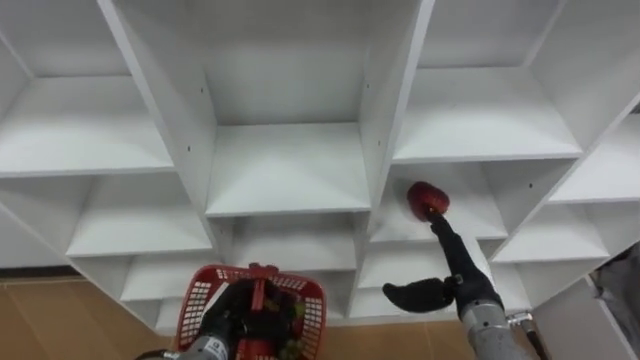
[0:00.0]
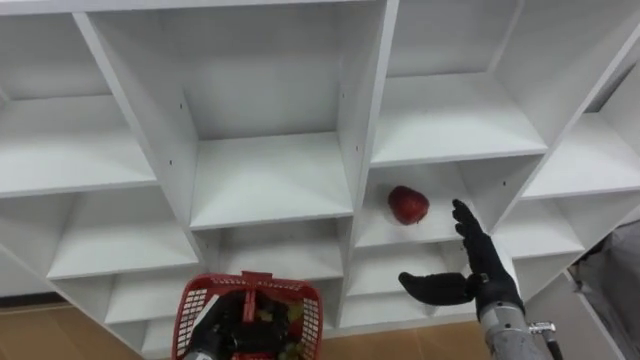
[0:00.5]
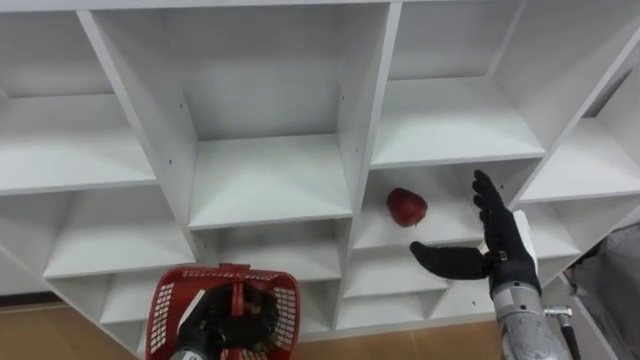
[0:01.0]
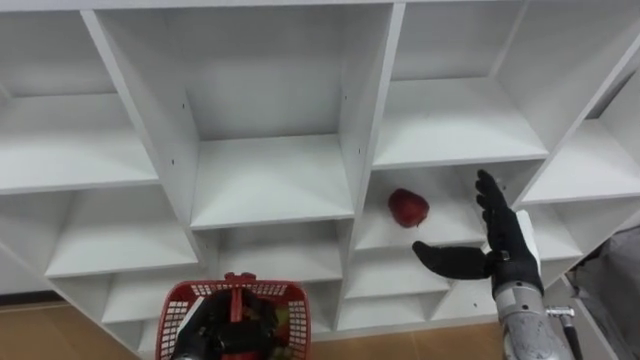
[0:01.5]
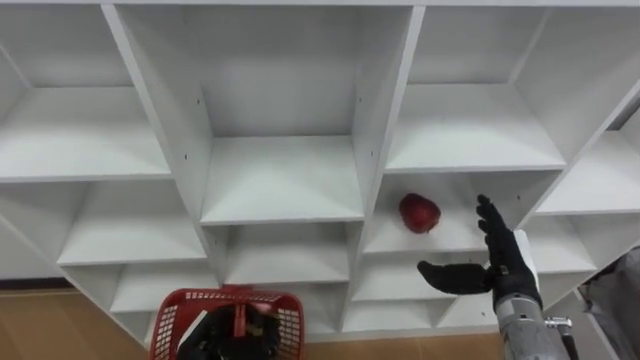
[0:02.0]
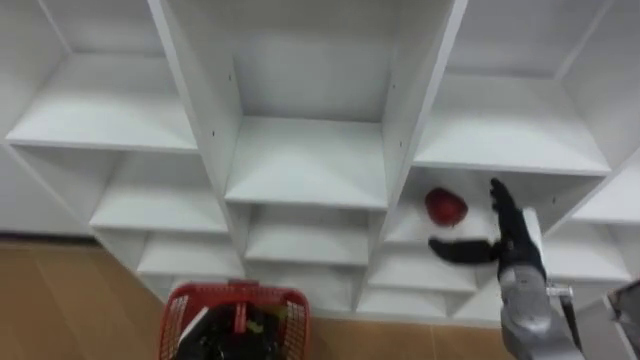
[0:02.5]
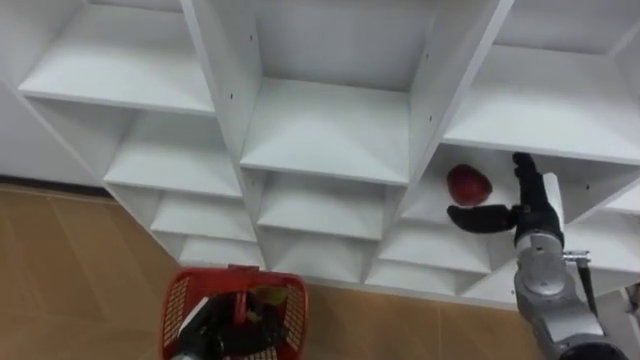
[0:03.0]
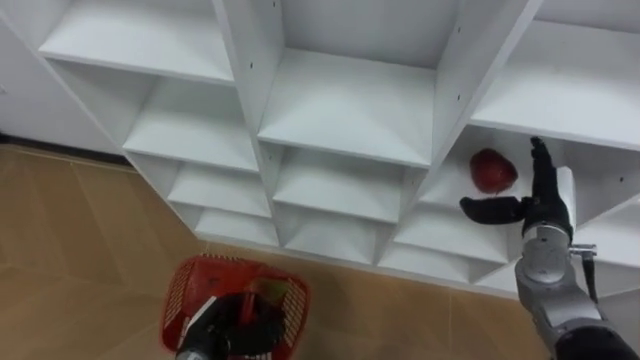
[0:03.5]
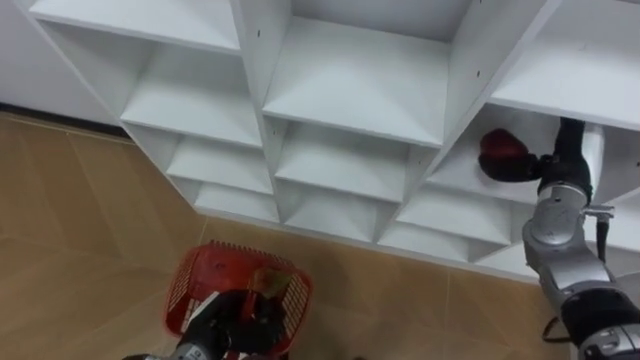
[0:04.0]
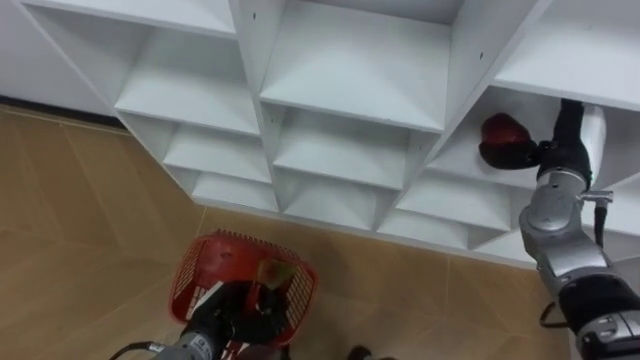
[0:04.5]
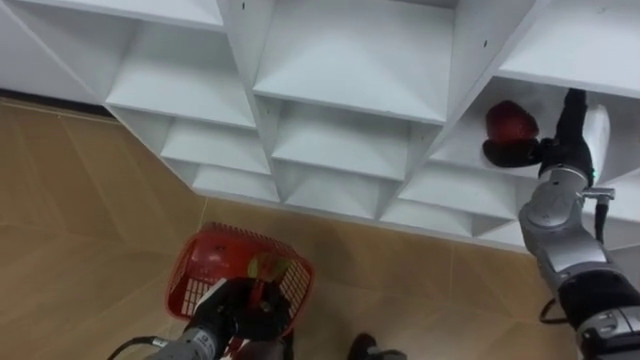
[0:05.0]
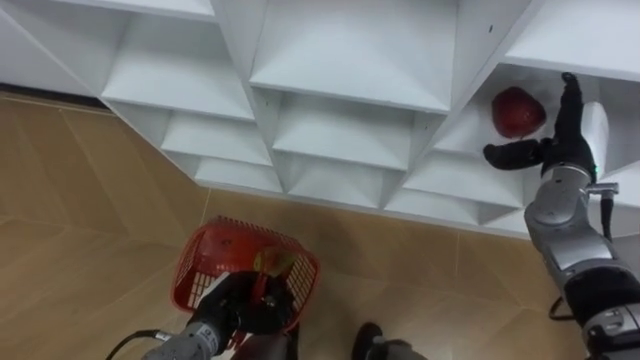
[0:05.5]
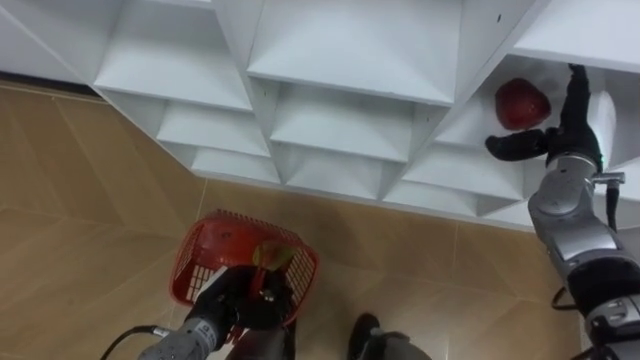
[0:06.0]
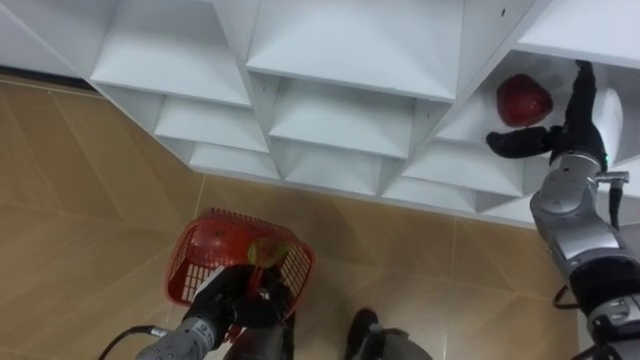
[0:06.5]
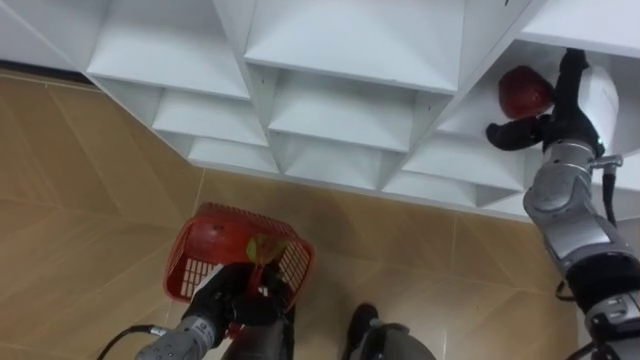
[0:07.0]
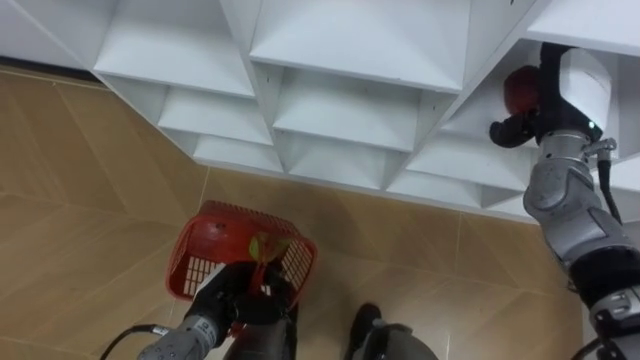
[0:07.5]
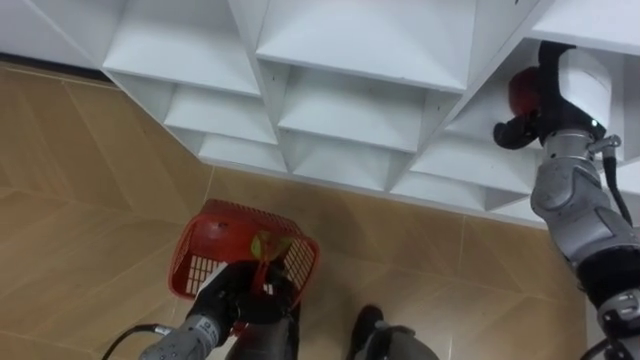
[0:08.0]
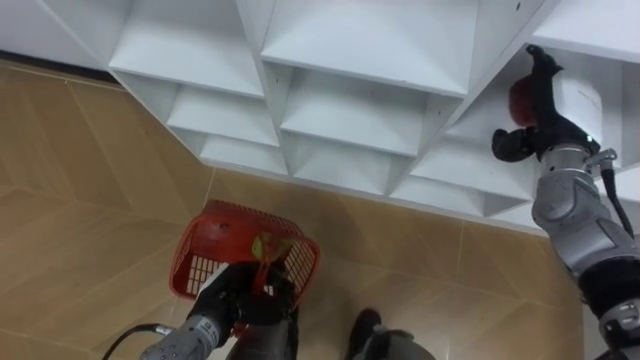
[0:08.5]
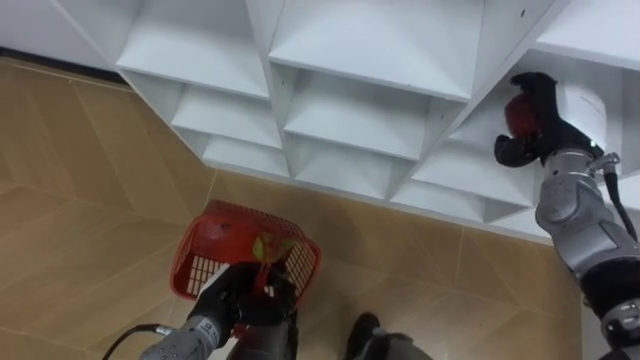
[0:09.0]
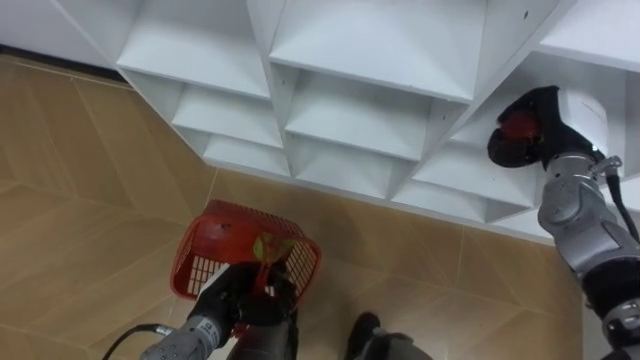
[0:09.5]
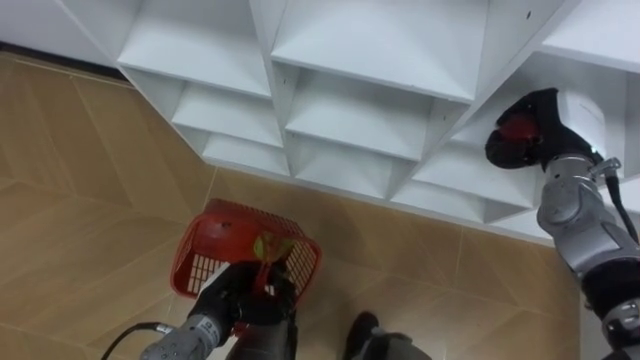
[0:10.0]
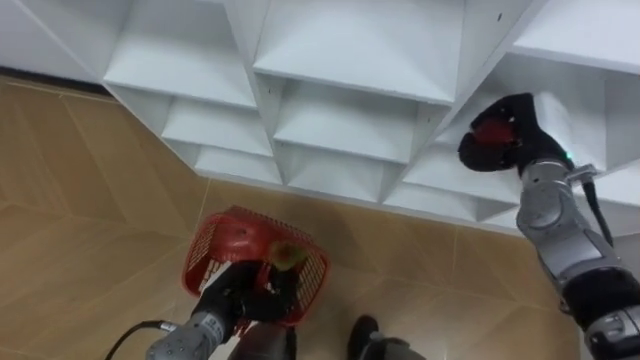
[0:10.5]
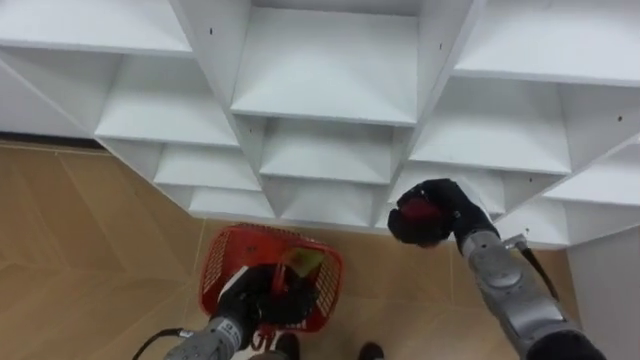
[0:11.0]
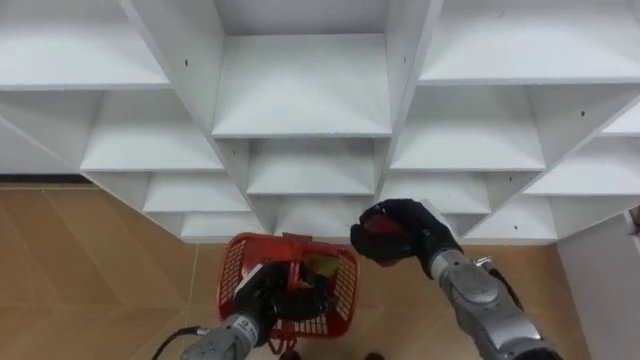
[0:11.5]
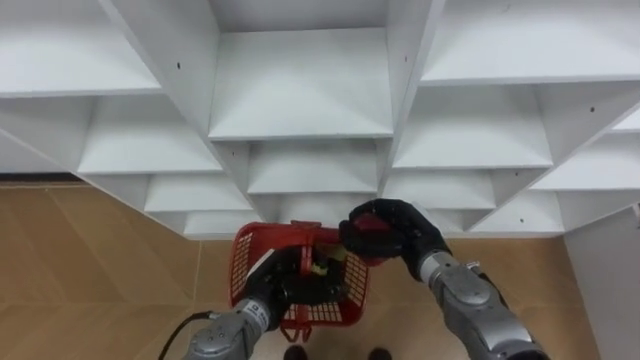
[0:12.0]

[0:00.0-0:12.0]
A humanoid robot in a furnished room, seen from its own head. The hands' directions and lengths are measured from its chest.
Task of the whole recording: Hold the basket and collect the fruits from 3 different cells of the closet into it.
0:00.0 to 0:02.0: The right hand goes some 5 cm to the right.
0:02.0 to 0:04.0: The right hand goes some 15 cm forward, upward and to the right.
0:06.0 to 0:08.0: The right hand changes place by approximately 5 cm.
0:08.0 to 0:10.0: The right hand closes.
0:10.0 to 0:12.0: The right hand is displaced to the left, downward and backward by approximately 25 cm. Meanwhile the left hand heads to the right, covering approximately 5 cm.

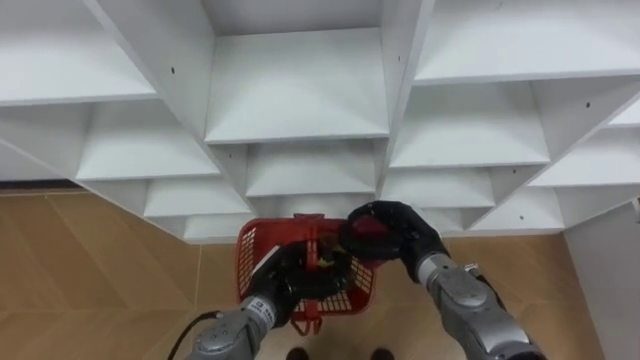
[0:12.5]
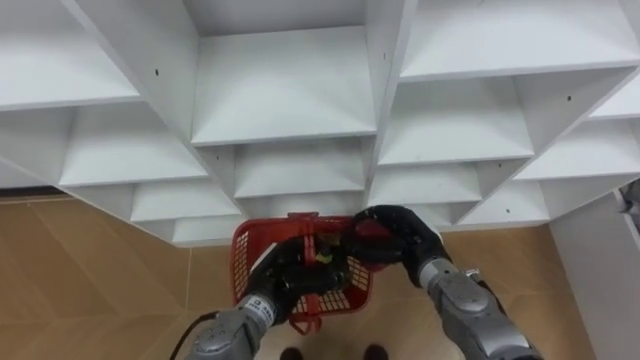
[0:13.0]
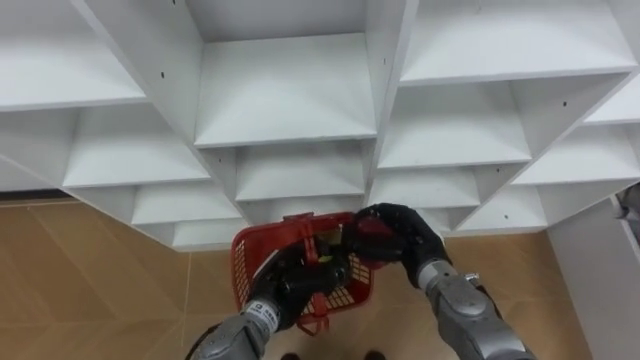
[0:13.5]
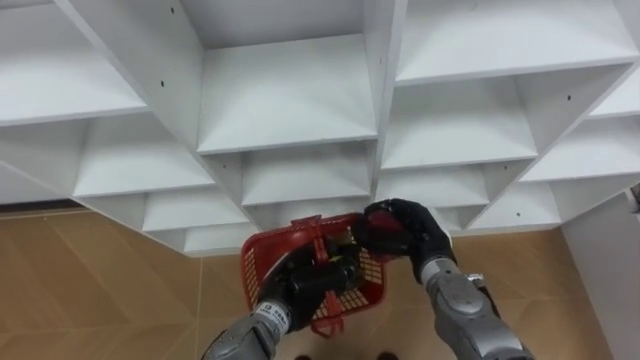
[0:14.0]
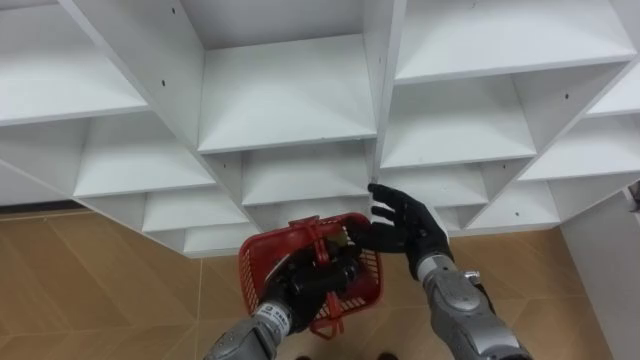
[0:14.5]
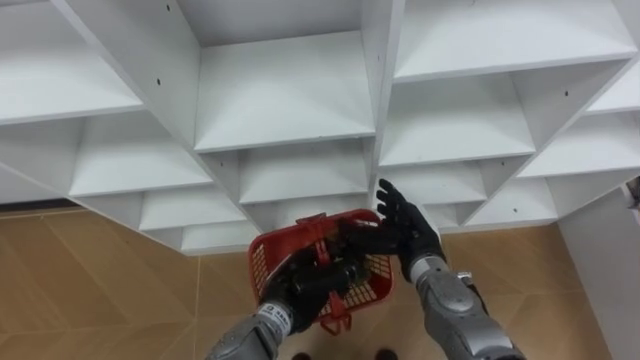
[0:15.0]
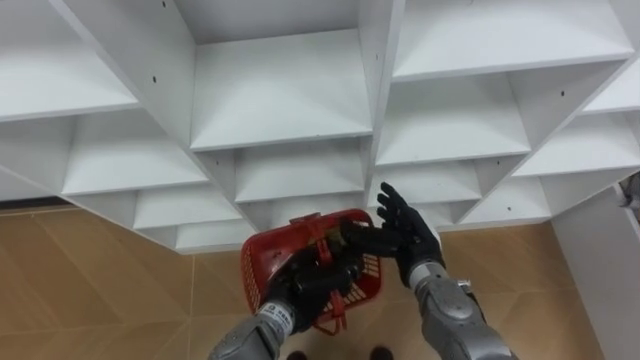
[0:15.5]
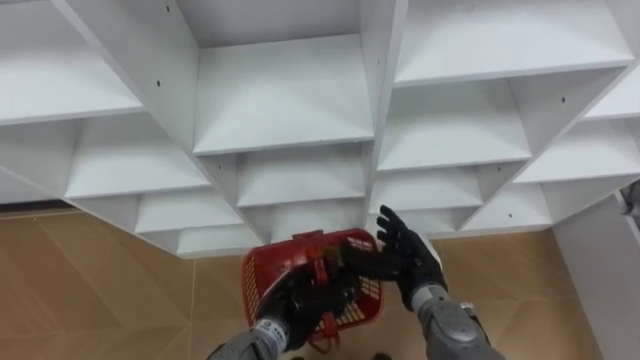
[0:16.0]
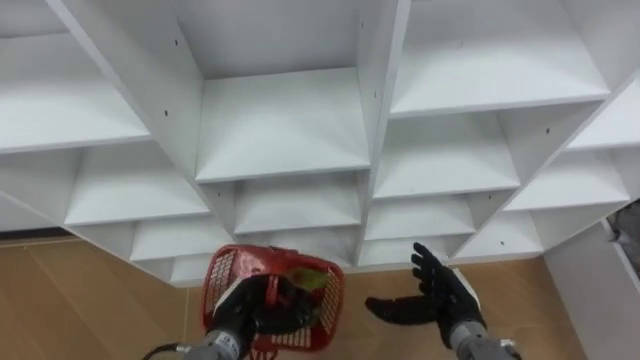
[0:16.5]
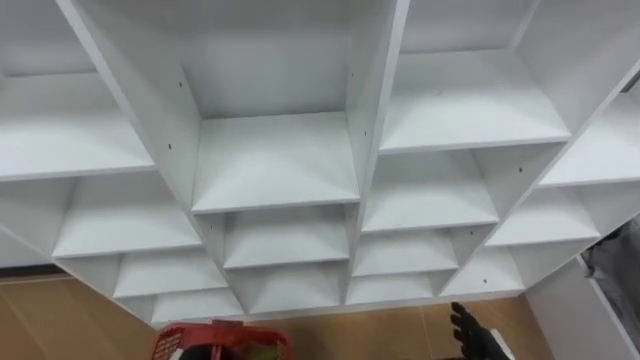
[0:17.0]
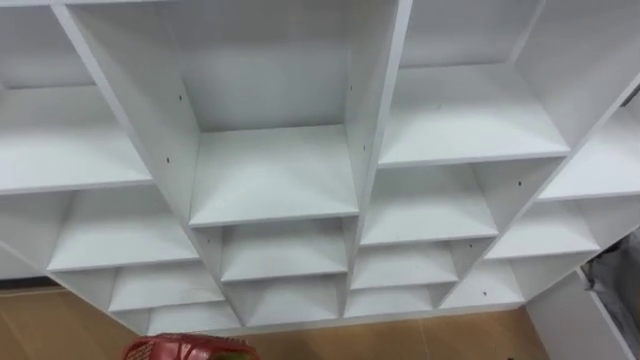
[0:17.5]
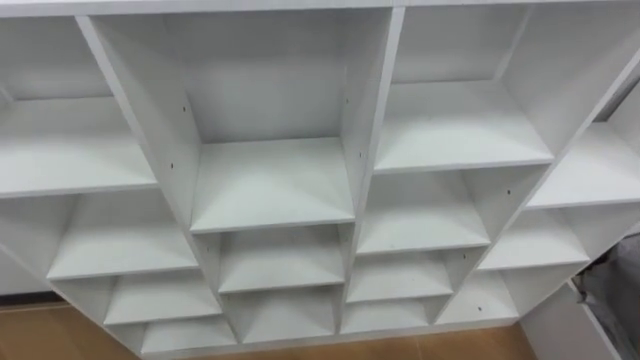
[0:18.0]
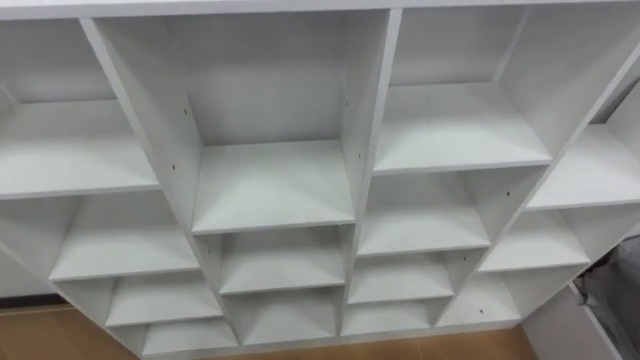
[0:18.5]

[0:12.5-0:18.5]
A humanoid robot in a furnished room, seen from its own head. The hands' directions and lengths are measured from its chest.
Task of the whole recording: Hold the basket and collect the fruits from 3 different cells of the closet into it.
0:12.5 to 0:14.5: The right hand opens up.
0:14.5 to 0:16.5: The right hand heads backward and downward, covering some 10 cm. The left hand heads to the left, covering some 10 cm.

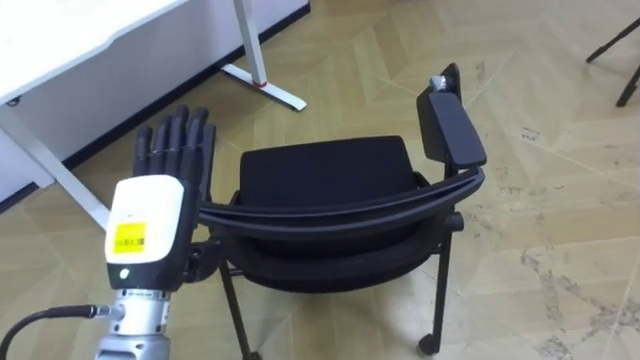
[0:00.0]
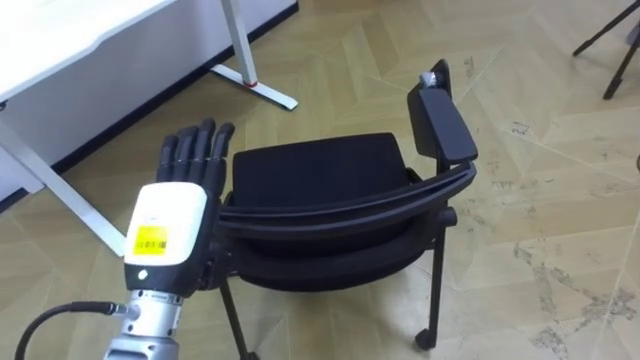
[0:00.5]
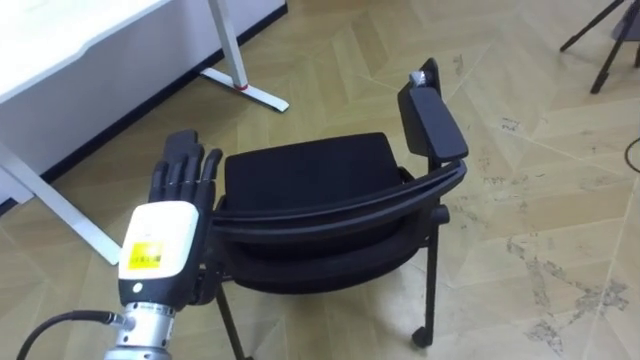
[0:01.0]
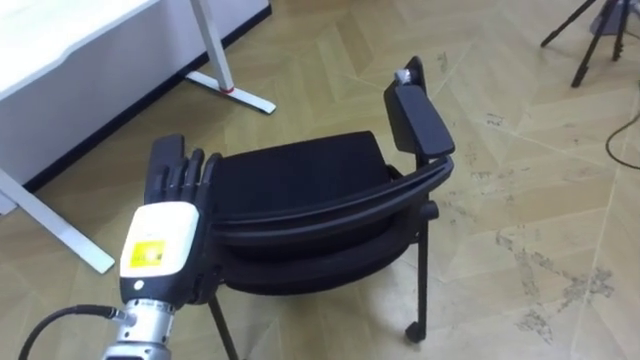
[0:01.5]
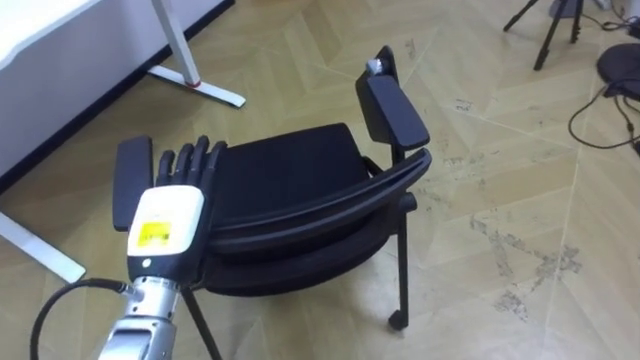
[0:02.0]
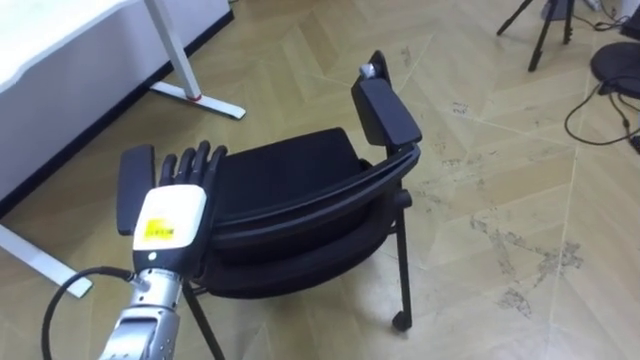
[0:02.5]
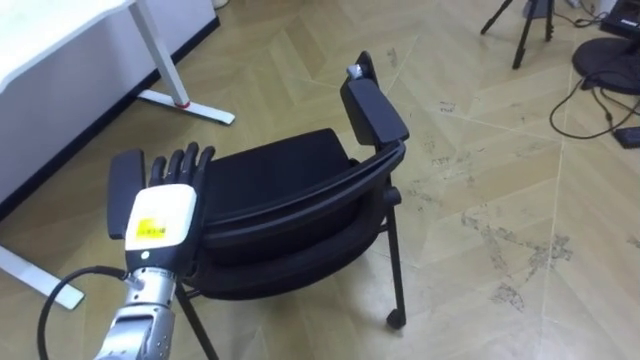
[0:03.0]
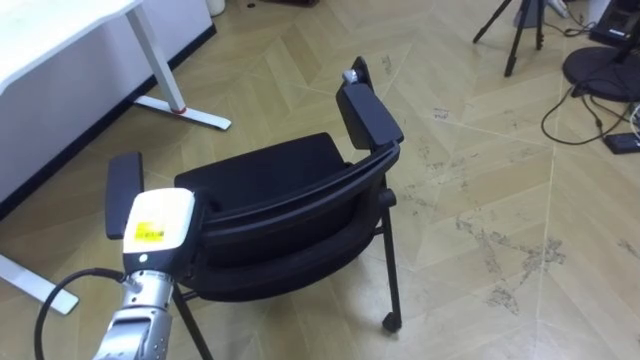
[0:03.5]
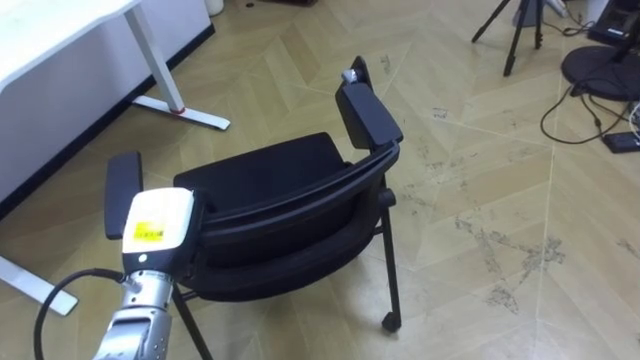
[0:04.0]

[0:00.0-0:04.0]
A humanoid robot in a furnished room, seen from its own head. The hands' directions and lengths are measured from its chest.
Task of the whole recording: Push the chair under the table.
0:00.0 to 0:02.0: The left hand travels downward by roughly 5 cm.
0:02.0 to 0:04.0: The left hand closes up.
